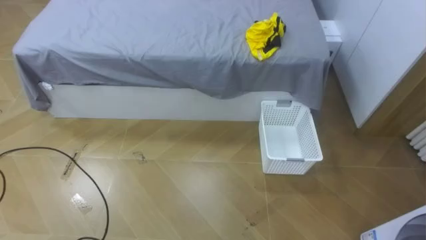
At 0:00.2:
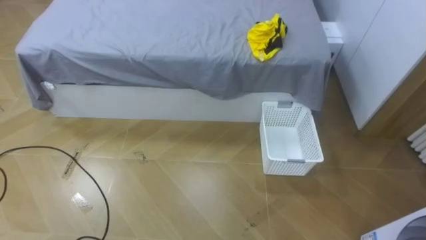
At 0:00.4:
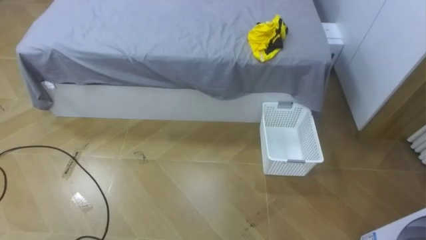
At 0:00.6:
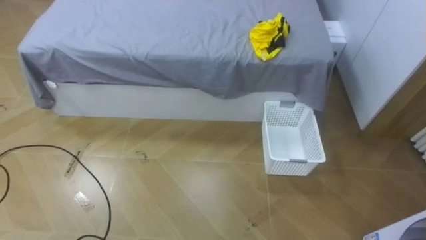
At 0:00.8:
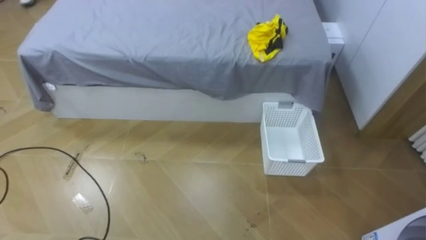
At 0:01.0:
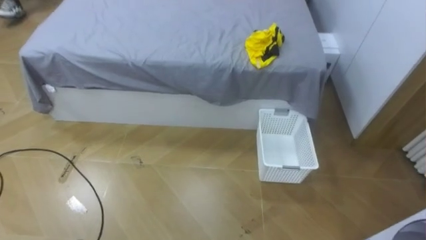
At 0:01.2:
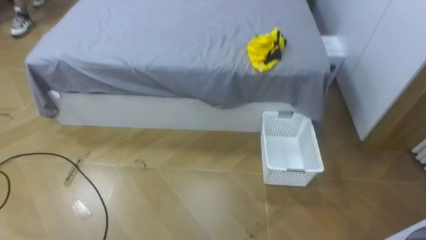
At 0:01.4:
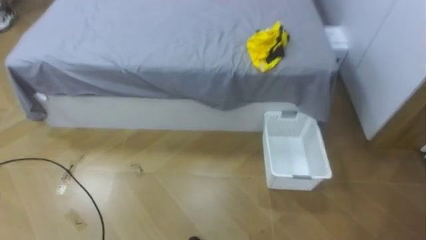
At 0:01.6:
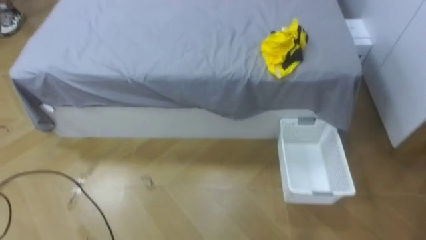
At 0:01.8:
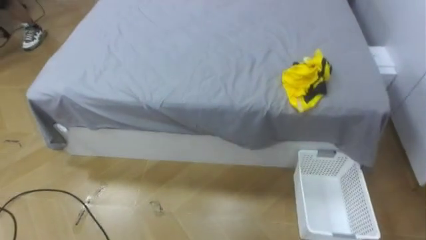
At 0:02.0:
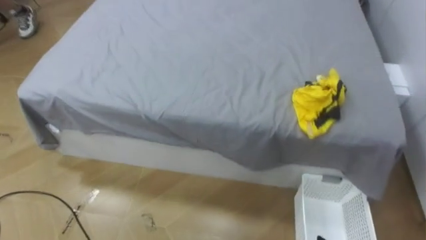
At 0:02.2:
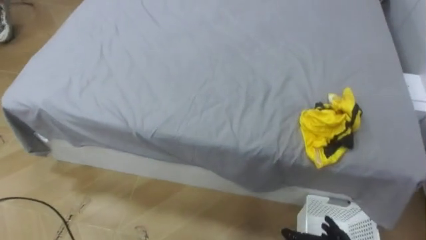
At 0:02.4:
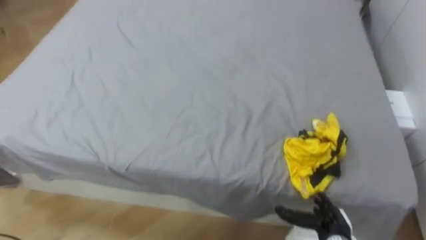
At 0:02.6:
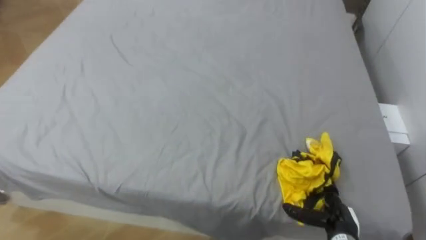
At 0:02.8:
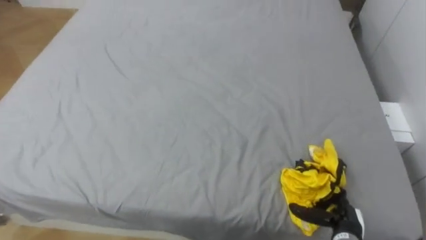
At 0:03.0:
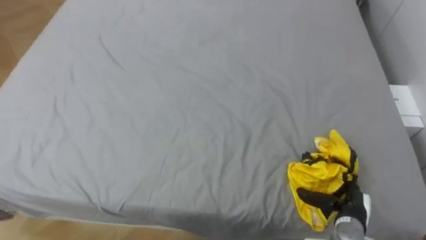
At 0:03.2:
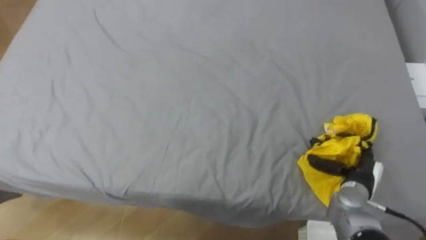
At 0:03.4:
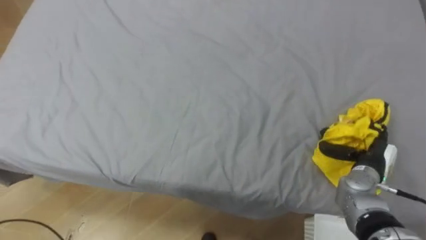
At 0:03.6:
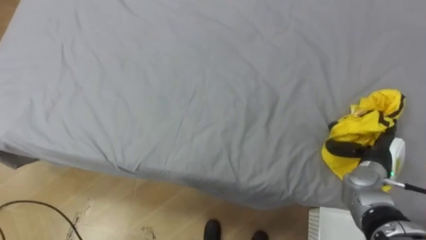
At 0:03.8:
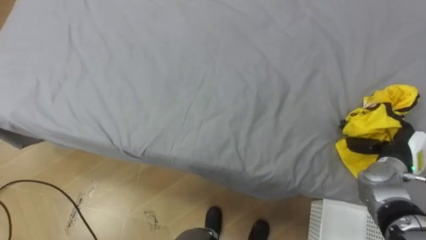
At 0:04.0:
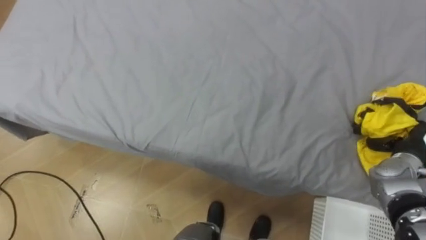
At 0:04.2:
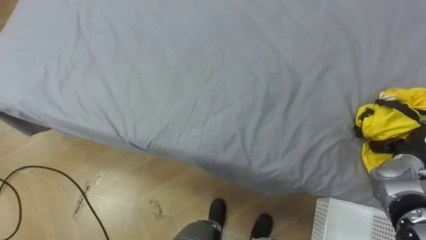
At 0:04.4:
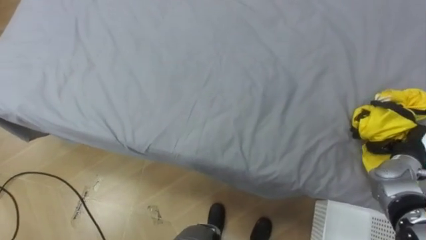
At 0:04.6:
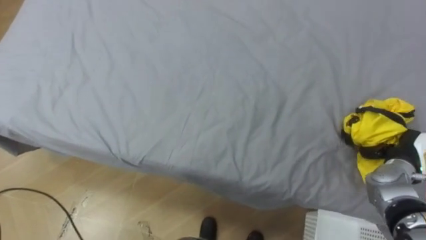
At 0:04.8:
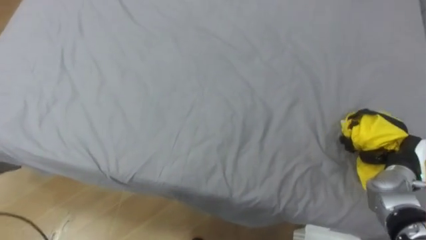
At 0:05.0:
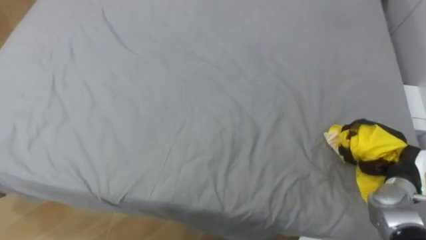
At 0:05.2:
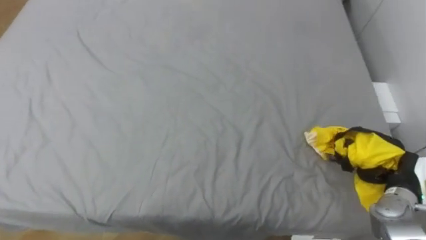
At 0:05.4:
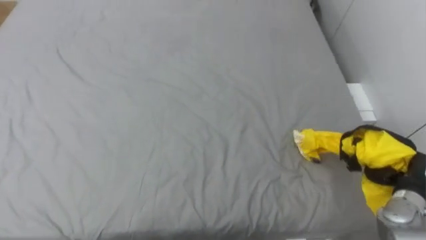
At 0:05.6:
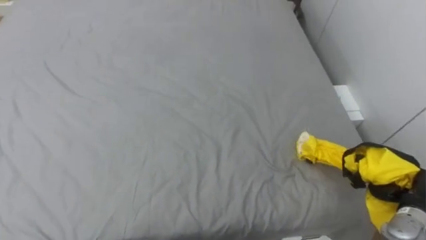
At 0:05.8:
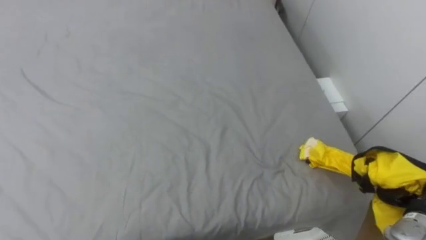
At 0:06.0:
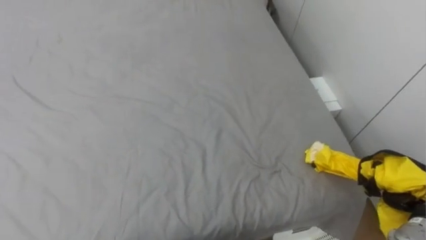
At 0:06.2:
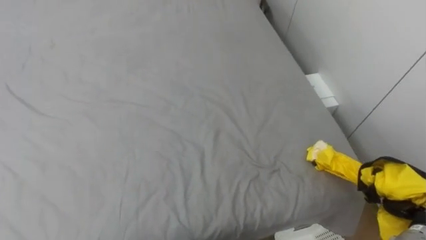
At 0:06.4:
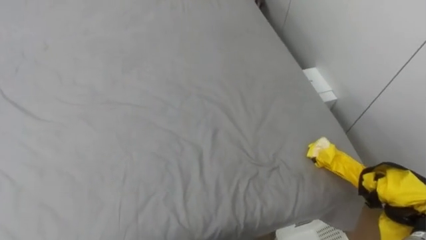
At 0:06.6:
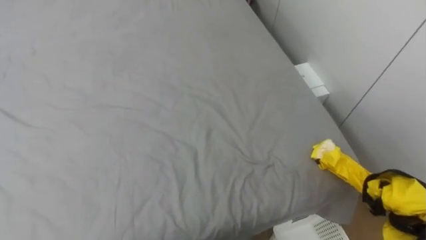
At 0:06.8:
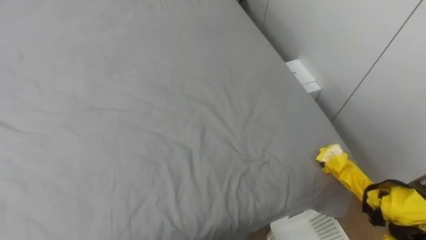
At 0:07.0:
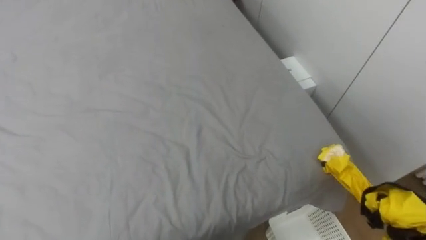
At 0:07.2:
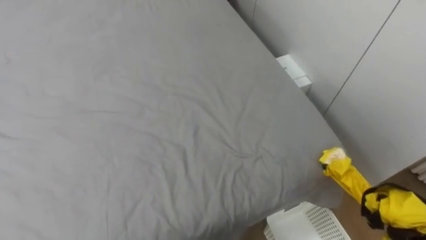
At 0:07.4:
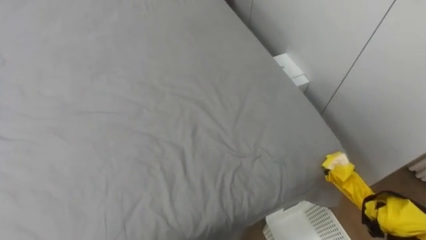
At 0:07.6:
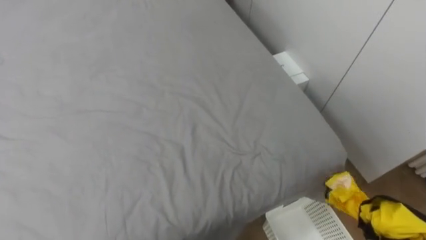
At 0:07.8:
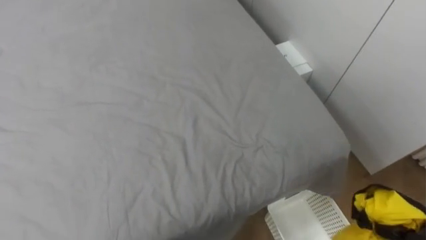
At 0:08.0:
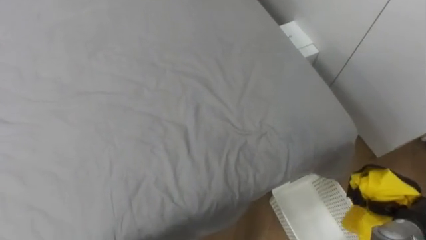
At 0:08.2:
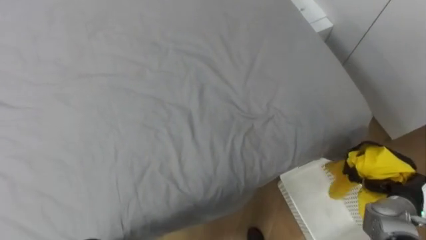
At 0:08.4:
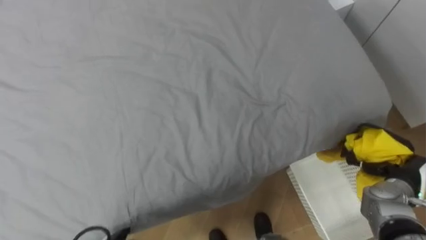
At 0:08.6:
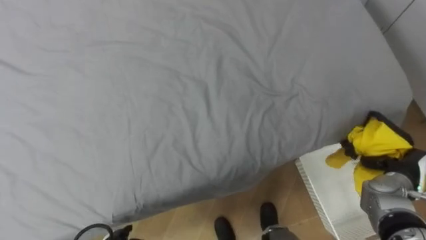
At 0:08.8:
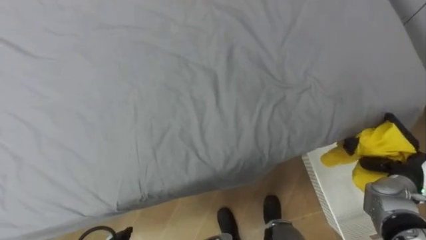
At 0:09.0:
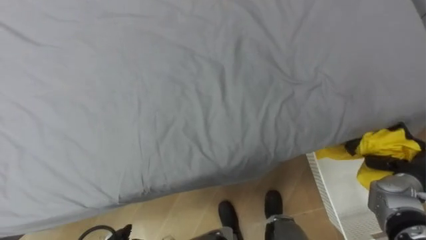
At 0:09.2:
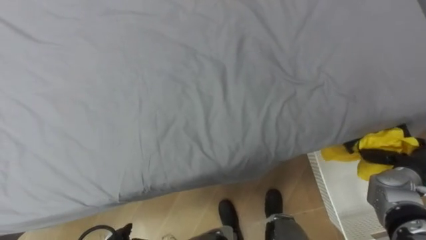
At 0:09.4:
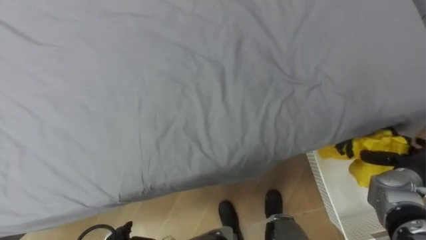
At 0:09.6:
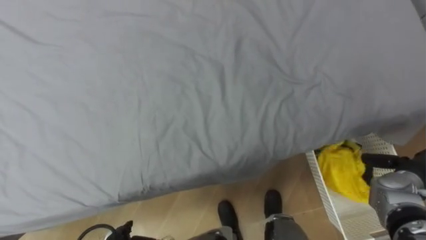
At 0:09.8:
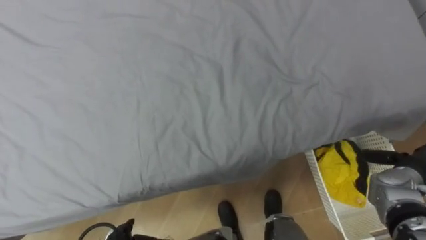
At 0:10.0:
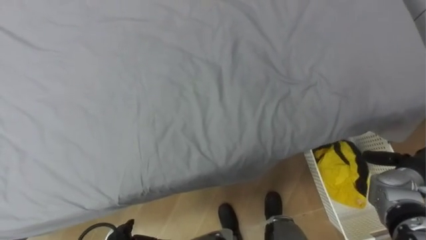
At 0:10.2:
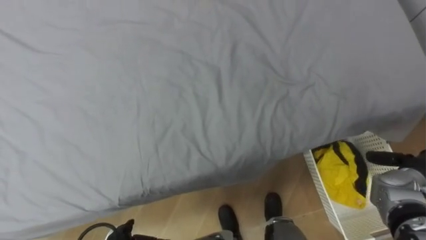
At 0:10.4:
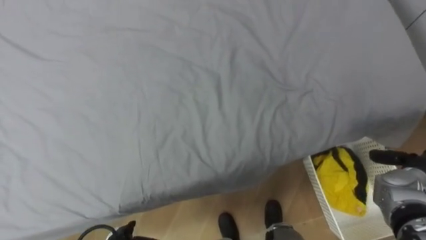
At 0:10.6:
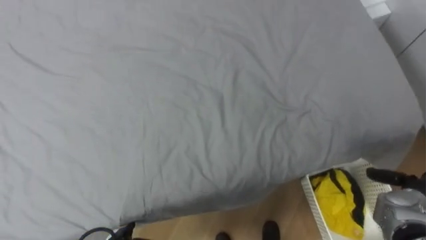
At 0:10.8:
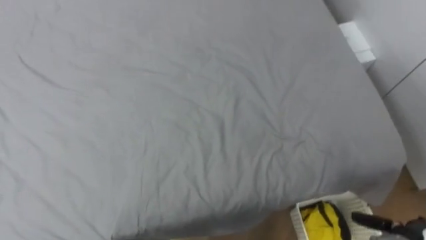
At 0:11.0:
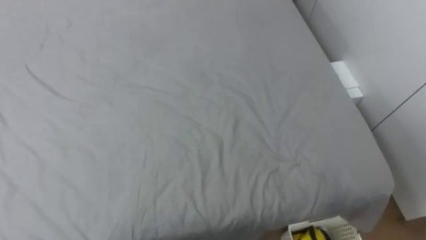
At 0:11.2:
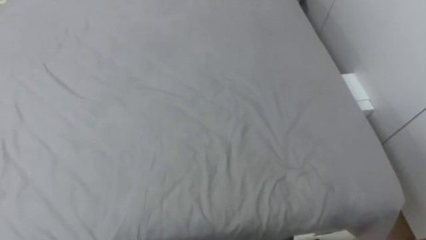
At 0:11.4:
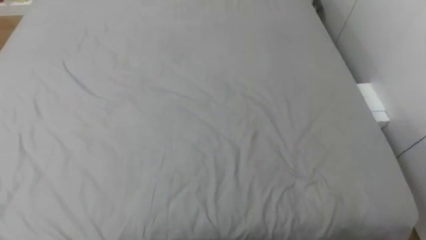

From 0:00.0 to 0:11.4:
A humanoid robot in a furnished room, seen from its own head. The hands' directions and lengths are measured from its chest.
Task of the whole recording: Pick up the yellow clothes on the bed and place them into the white basket on the right.
From 0:02.8 to 0:04.2: The right hand goes some 20 cm upward, to the right and forward, and closes.
From 0:04.2 to 0:05.6: The right hand is displaced backward by about 10 cm.
From 0:08.6 to 0:10.0: The right hand opens up.
